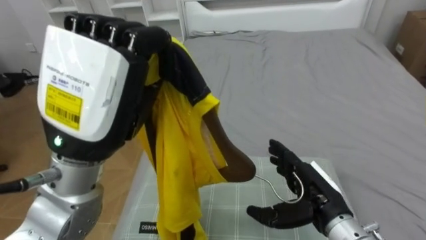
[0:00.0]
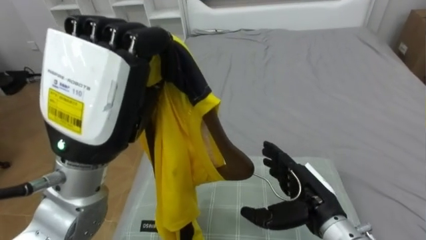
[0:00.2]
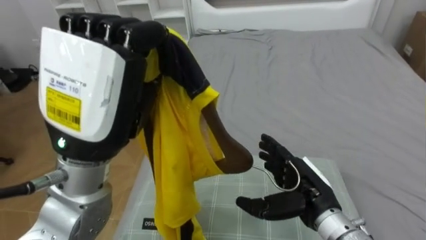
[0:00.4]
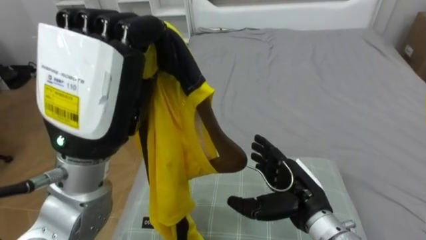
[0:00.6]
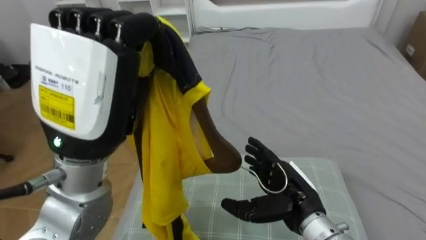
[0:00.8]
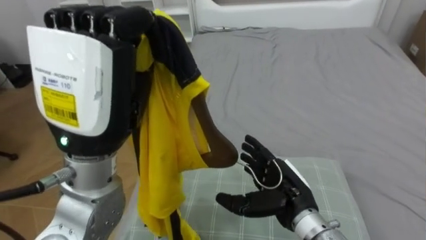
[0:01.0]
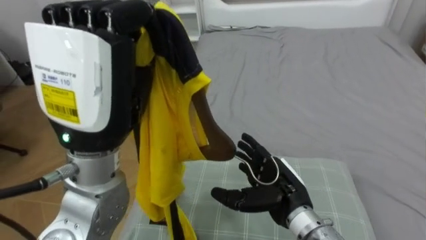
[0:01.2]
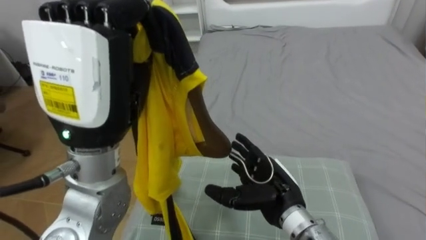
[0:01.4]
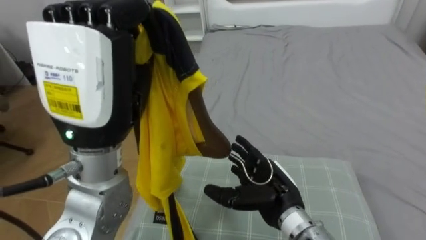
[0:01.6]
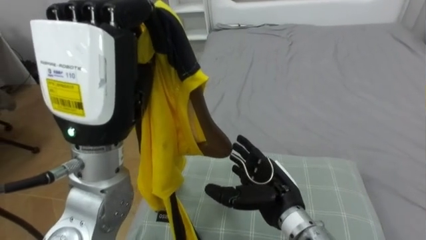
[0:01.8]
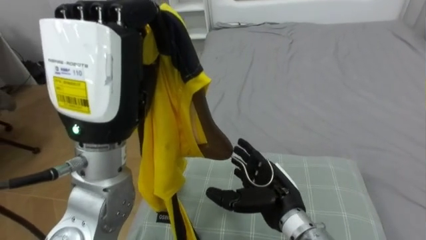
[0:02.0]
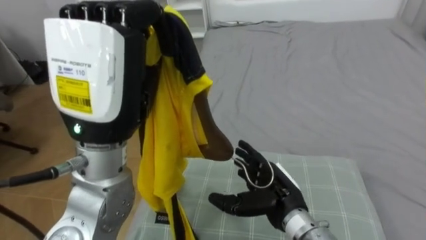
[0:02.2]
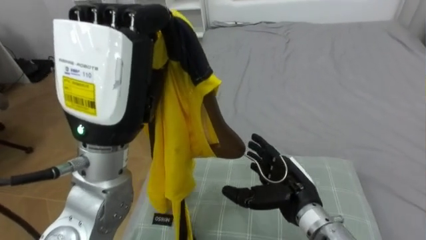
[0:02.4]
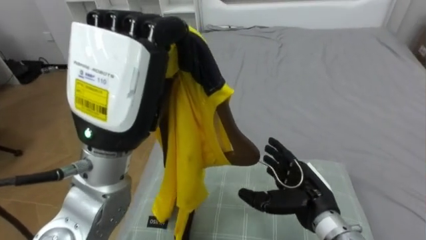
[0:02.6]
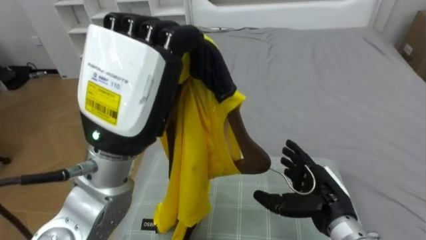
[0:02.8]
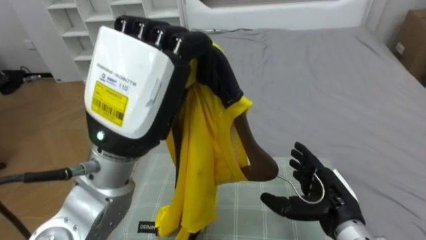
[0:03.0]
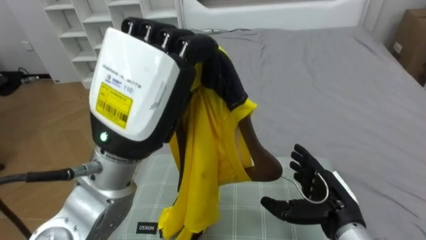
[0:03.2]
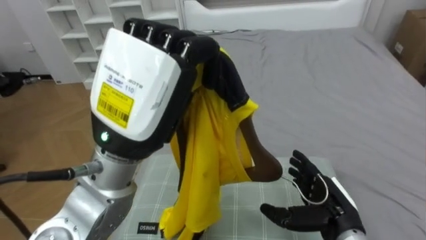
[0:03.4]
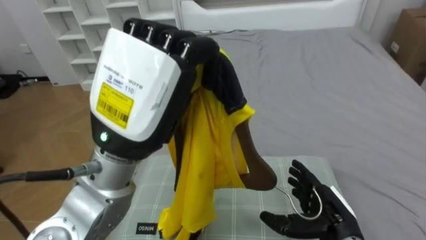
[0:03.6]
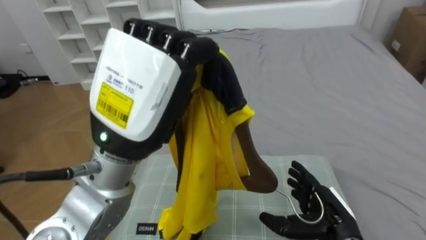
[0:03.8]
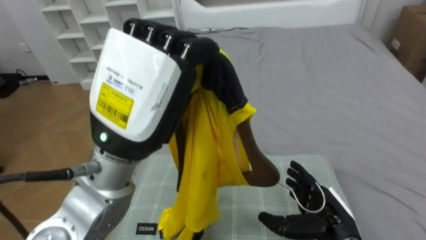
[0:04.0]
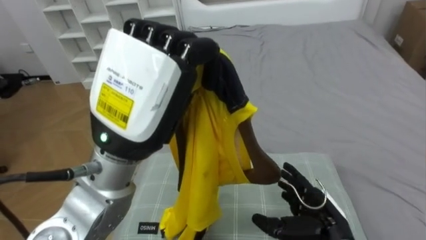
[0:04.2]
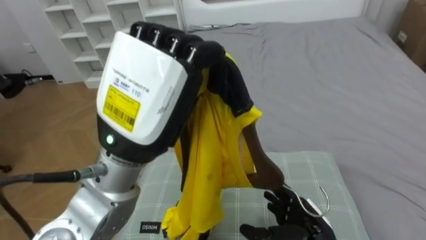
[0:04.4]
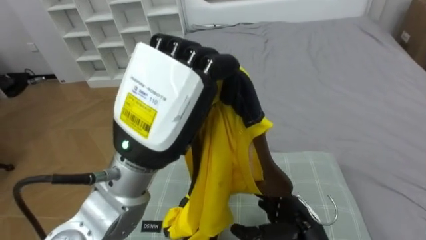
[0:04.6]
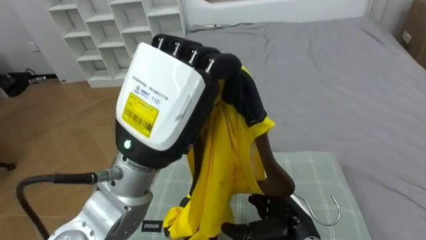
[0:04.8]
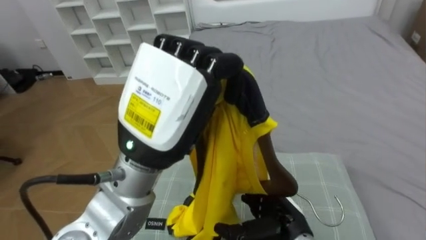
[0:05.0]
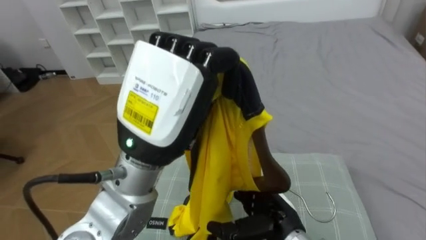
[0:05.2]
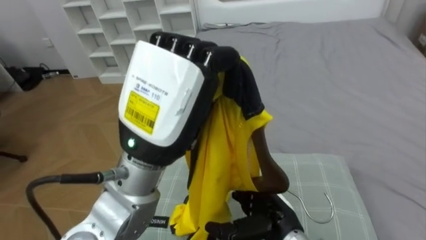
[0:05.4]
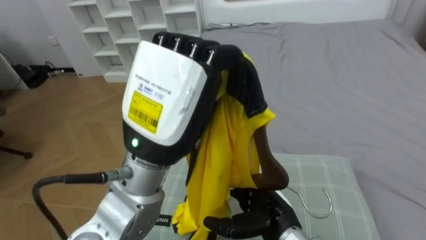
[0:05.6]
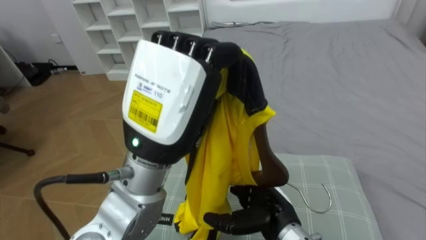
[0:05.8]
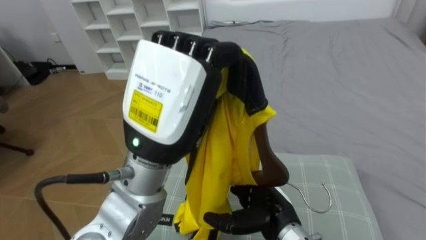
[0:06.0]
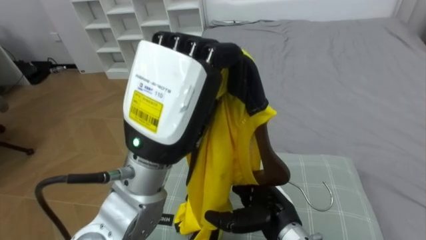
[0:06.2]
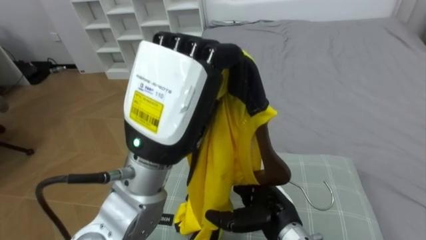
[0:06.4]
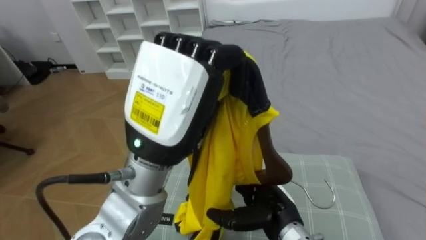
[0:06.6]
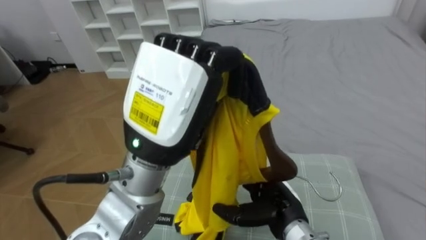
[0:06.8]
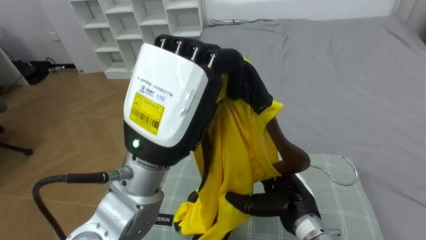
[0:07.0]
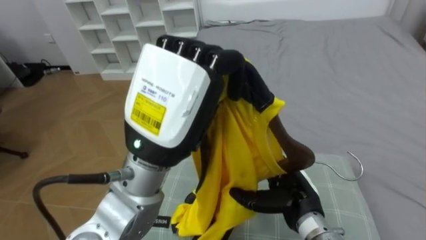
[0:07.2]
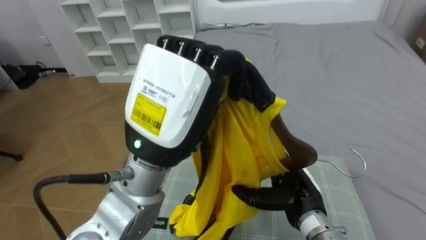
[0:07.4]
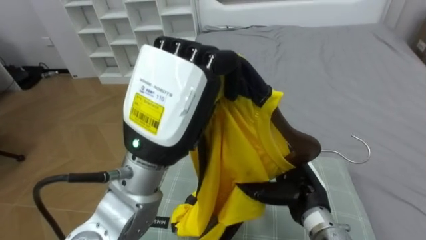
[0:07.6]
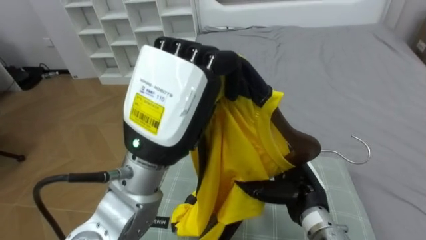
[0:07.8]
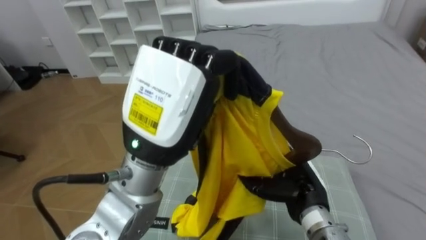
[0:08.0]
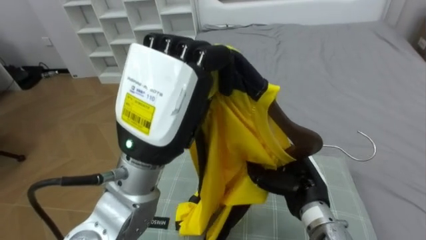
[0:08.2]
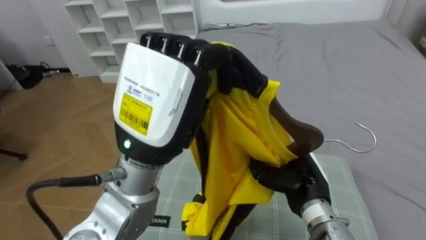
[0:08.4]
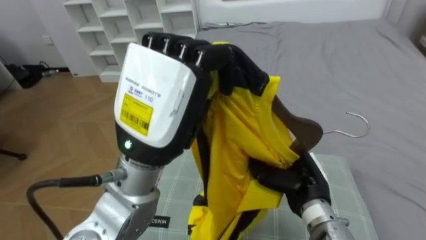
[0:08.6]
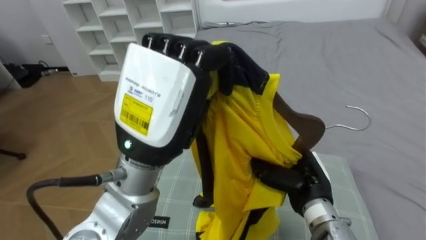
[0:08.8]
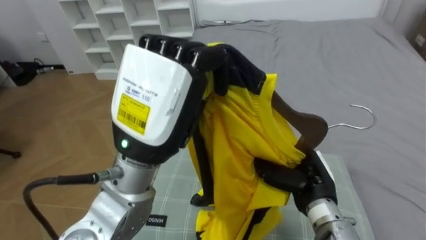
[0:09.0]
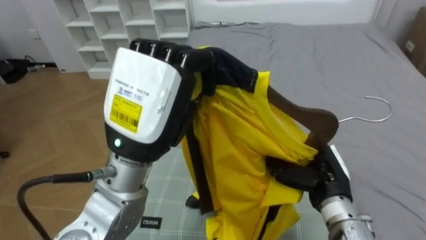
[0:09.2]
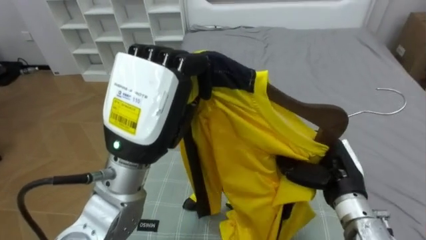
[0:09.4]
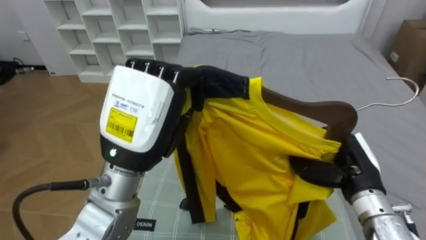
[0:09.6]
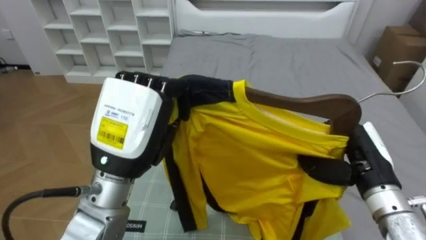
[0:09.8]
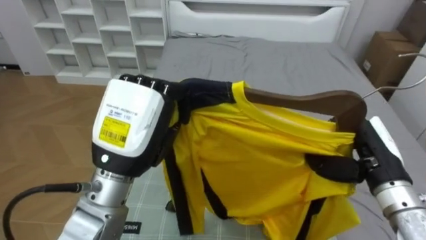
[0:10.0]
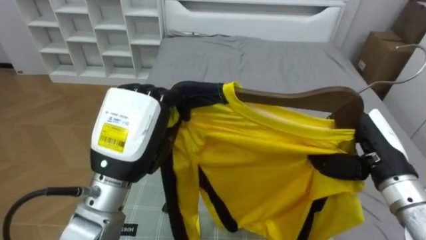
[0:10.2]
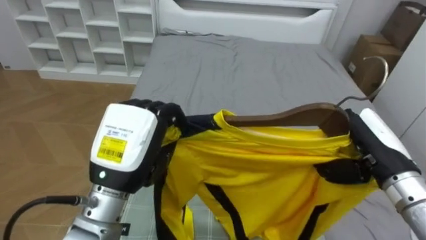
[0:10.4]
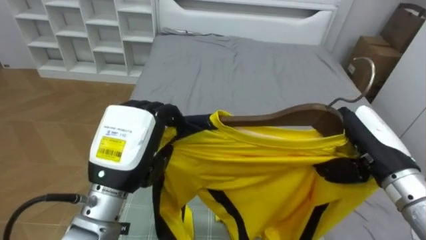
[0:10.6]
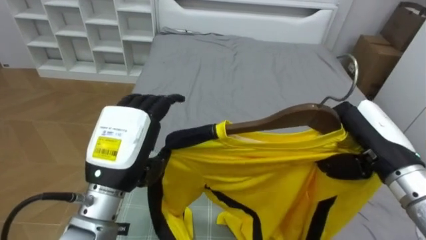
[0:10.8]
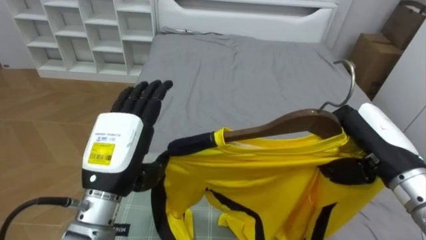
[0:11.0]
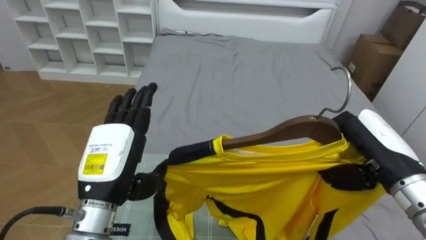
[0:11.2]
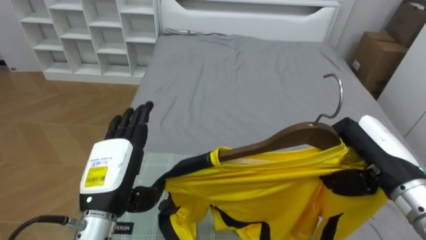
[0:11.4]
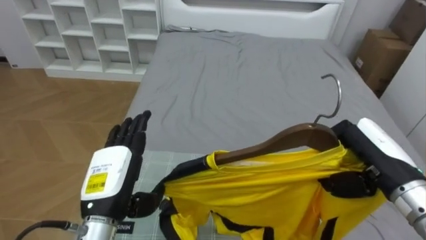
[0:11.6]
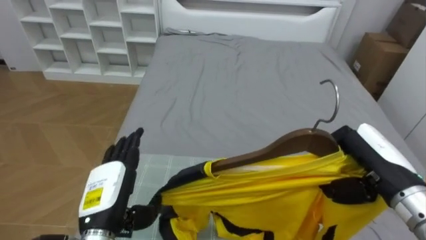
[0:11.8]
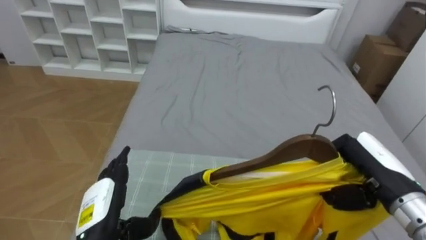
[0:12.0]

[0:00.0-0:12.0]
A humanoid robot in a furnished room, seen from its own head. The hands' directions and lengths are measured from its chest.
Task of the whole recording: Pick up the yellow shirt on the bed and hang it on the clothes rack on the right.
0:00.0 to 0:01.6: The right hand travels to the left by some 10 cm.
0:01.6 to 0:03.0: The right hand moves to the right, roughly 10 cm.
0:03.0 to 0:04.4: The right hand moves about 5 cm.
0:04.4 to 0:06.0: The right hand goes roughly 10 cm to the left.
0:06.0 to 0:07.6: The right hand heads to the right, covering about 5 cm.
0:07.6 to 0:09.0: The right hand closes.
0:09.0 to 0:10.4: The left hand shifts roughly 10 cm downward and to the left. The right hand moves to the right and upward, about 15 cm.
0:10.4 to 0:12.0: The left hand moves downward and to the left, roughly 20 cm, and opens up.

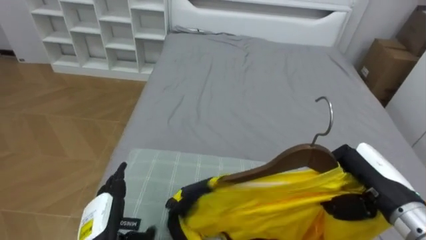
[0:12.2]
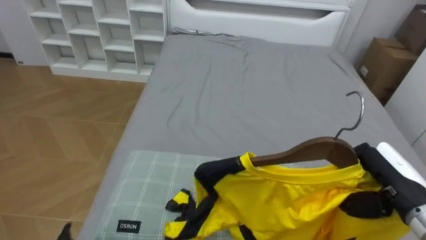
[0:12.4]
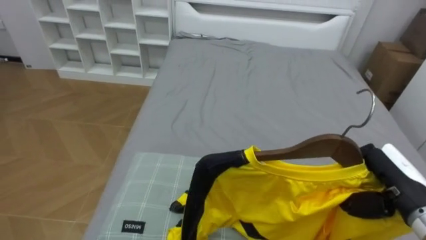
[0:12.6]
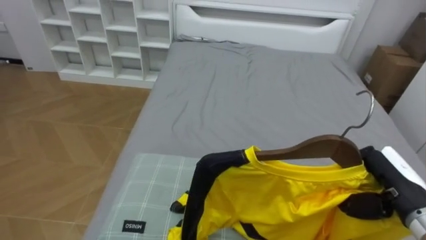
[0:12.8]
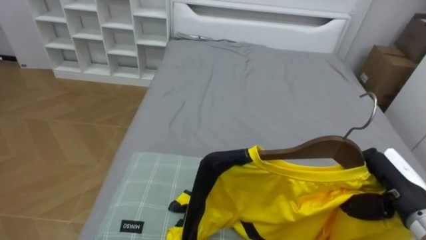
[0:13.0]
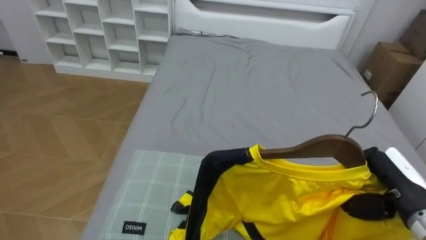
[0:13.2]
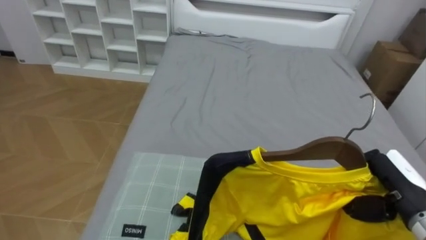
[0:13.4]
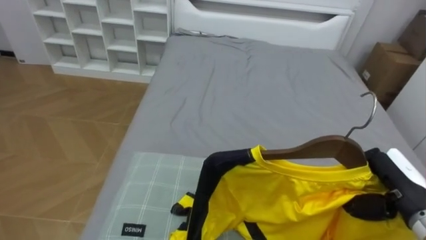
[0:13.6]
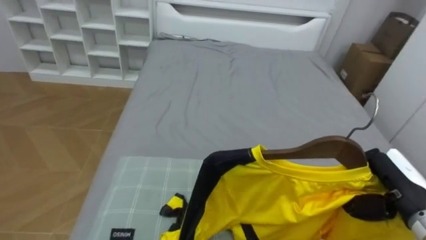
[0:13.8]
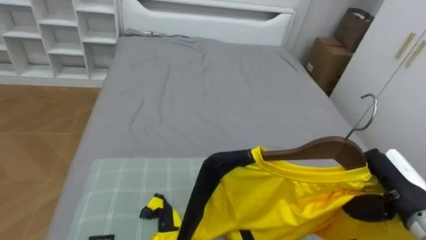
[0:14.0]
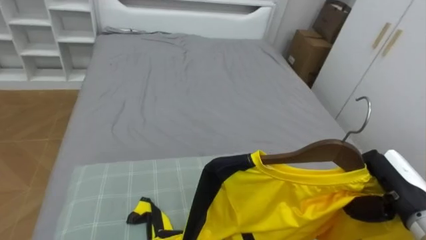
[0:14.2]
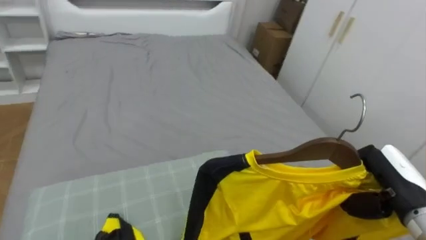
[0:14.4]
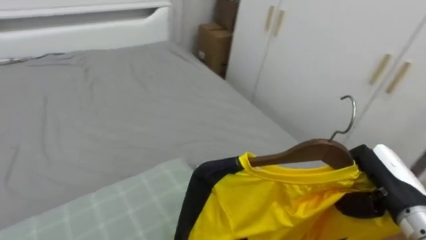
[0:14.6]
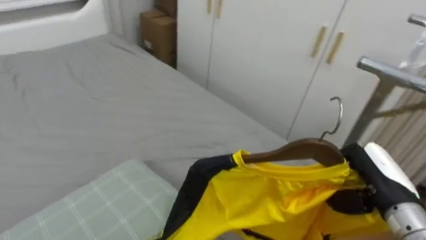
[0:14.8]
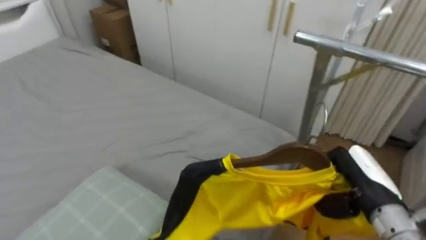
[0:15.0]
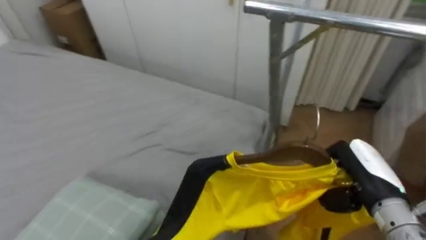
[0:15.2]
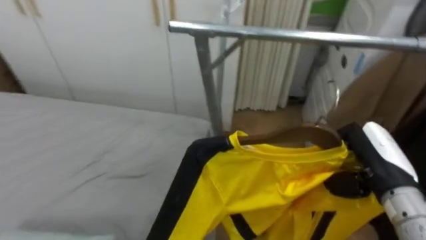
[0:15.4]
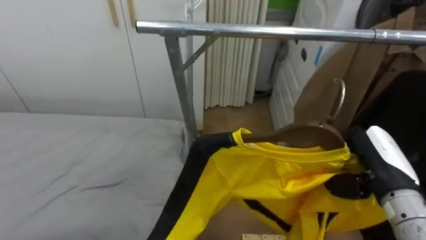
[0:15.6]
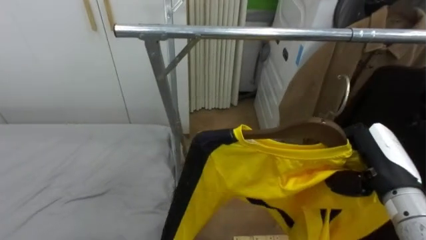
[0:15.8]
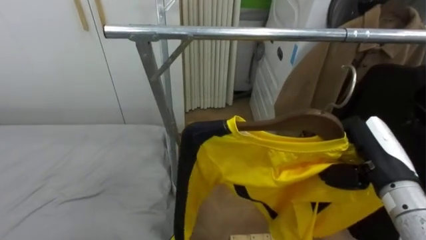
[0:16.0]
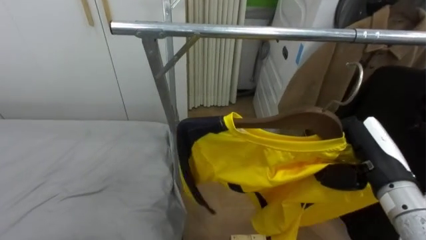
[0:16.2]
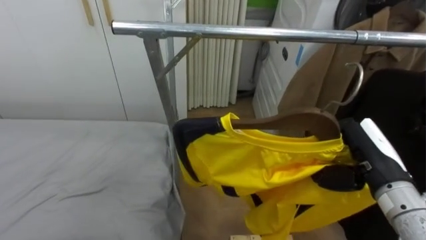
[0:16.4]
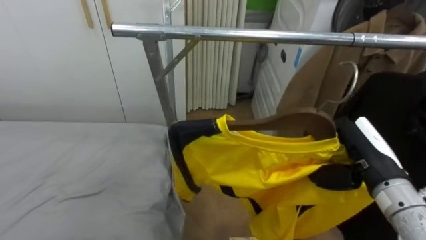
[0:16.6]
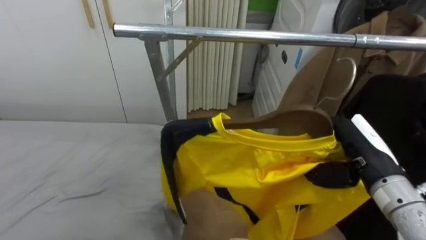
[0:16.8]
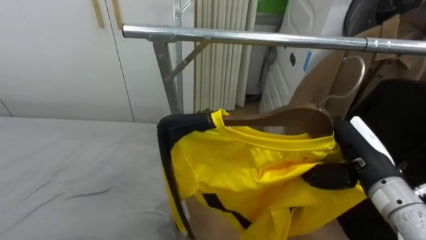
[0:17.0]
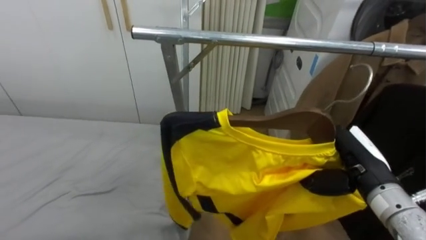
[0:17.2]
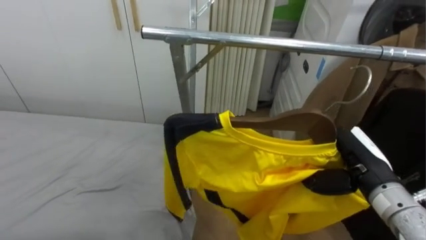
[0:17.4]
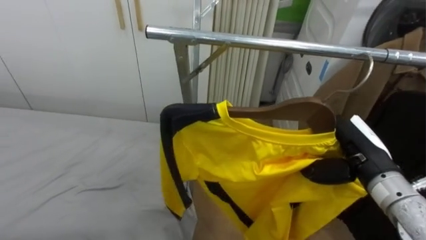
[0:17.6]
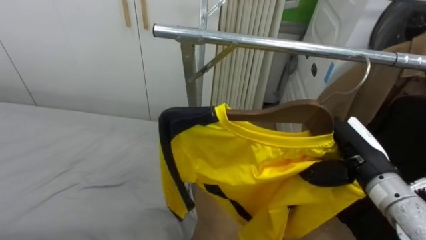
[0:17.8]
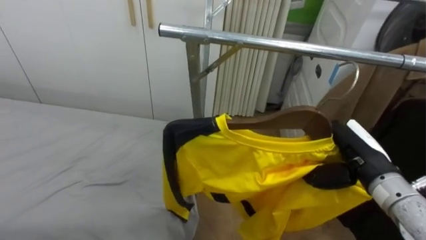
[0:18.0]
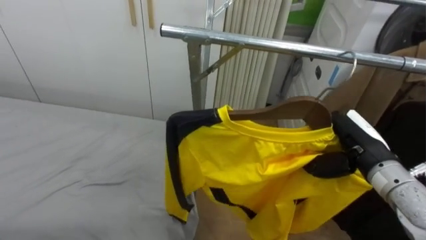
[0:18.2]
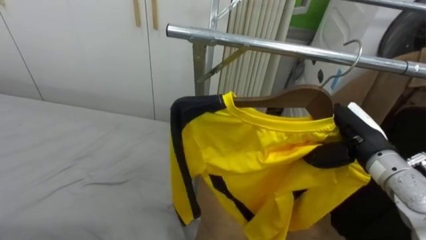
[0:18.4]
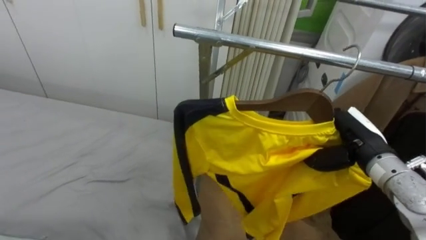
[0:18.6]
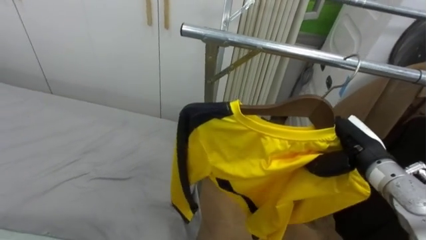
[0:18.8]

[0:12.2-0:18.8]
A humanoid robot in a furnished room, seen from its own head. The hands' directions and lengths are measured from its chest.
Task of the whole recording: Pick up the yellow shirt on the bed and hang it on the clothes rack on the right.
0:13.8 to 0:15.4: The robot faces some 70 degrees further to its right. The right hand moves about 5 cm.
0:17.2 to 0:18.8: The right hand moves some 5 cm.
